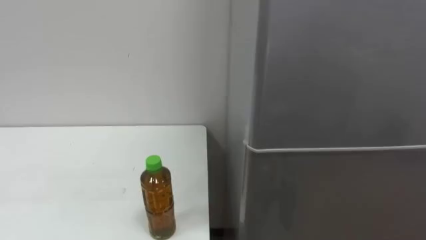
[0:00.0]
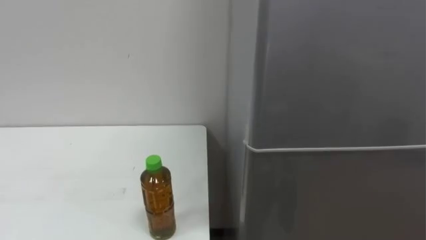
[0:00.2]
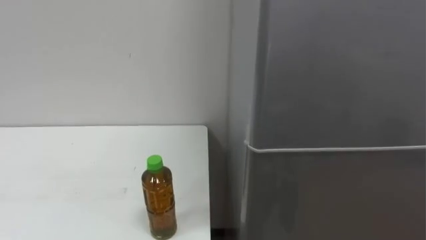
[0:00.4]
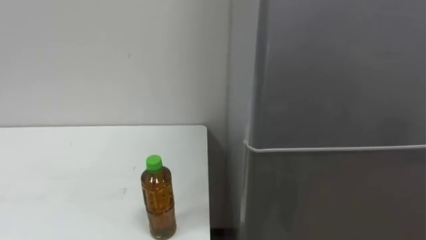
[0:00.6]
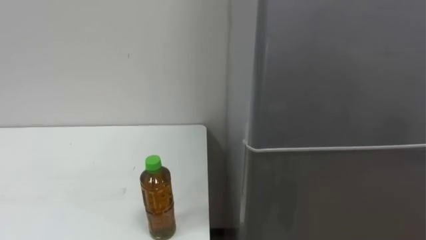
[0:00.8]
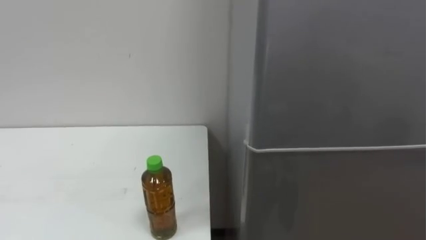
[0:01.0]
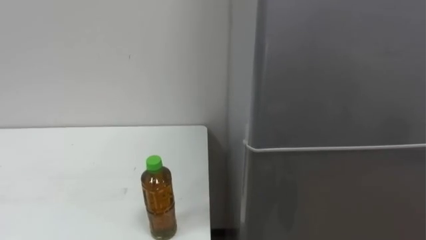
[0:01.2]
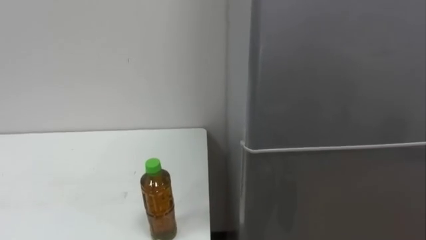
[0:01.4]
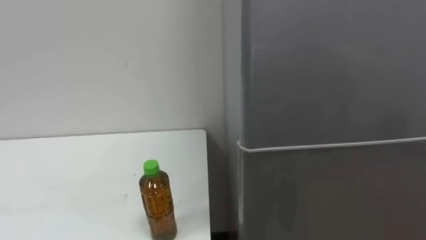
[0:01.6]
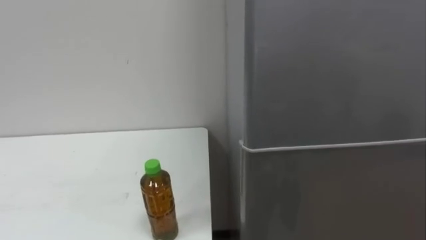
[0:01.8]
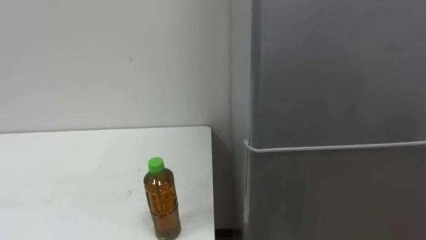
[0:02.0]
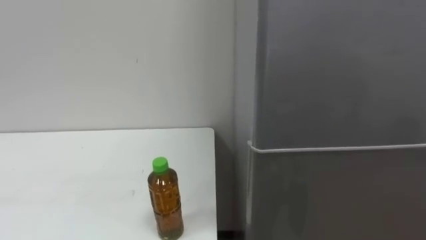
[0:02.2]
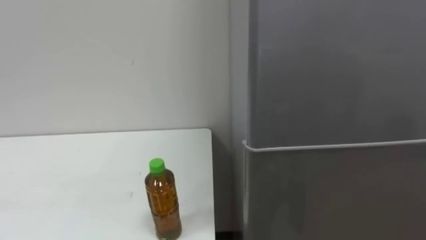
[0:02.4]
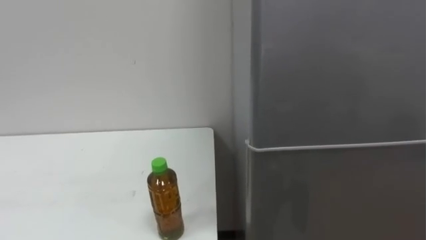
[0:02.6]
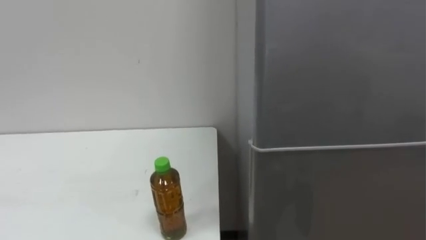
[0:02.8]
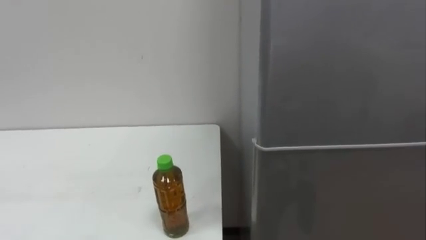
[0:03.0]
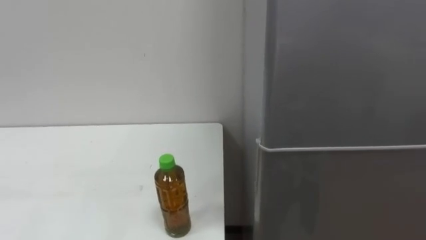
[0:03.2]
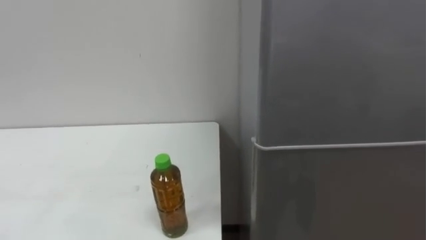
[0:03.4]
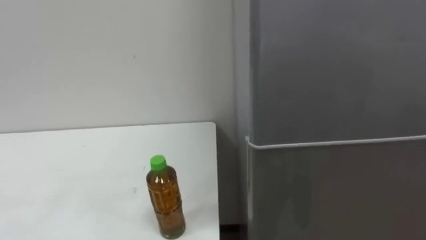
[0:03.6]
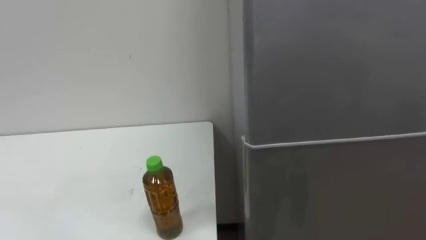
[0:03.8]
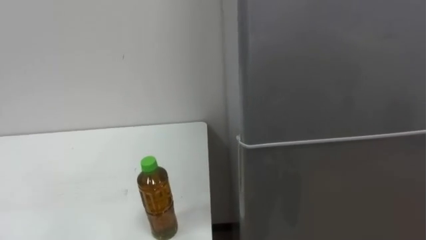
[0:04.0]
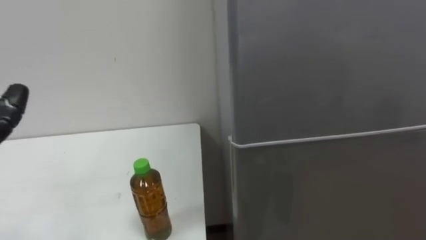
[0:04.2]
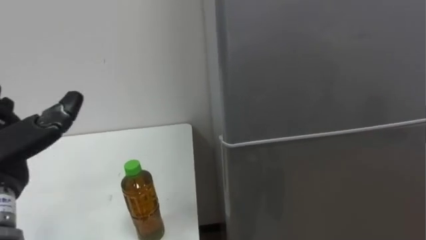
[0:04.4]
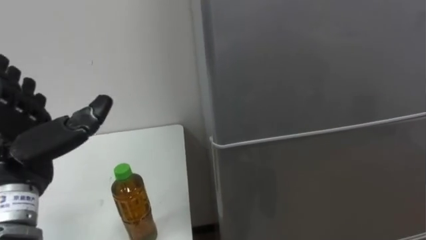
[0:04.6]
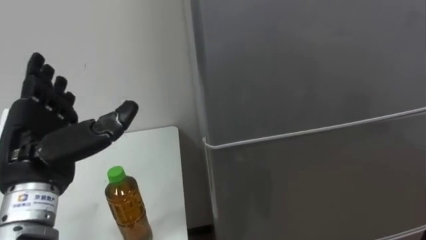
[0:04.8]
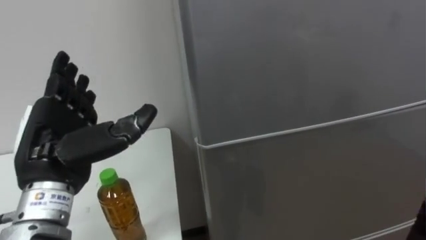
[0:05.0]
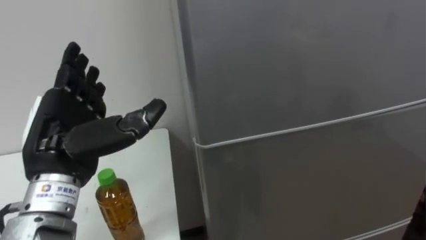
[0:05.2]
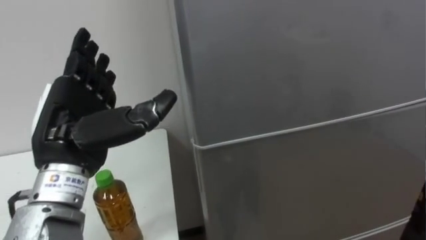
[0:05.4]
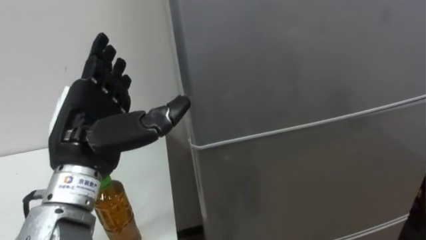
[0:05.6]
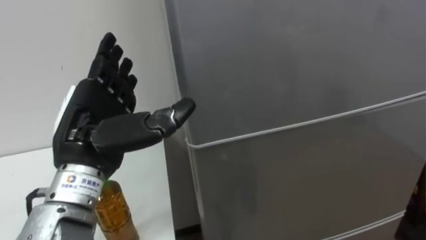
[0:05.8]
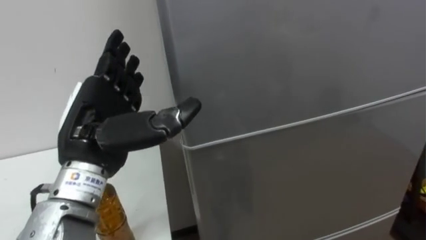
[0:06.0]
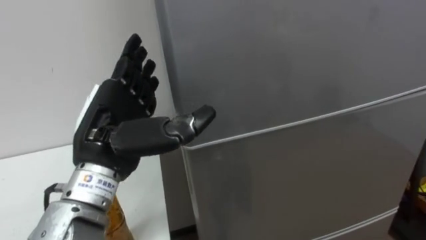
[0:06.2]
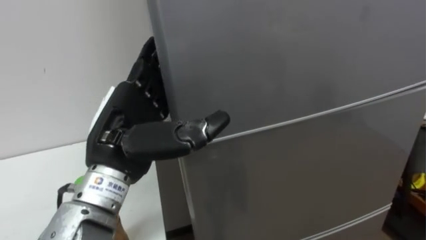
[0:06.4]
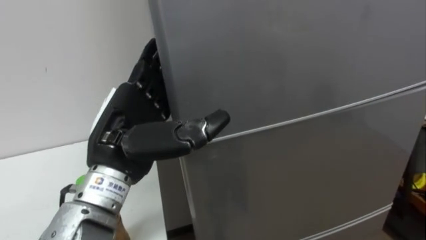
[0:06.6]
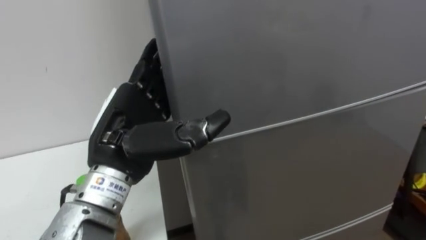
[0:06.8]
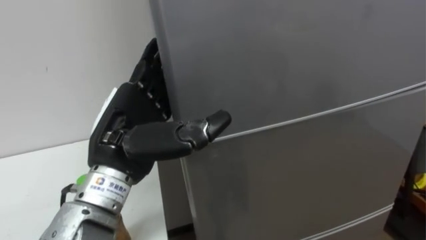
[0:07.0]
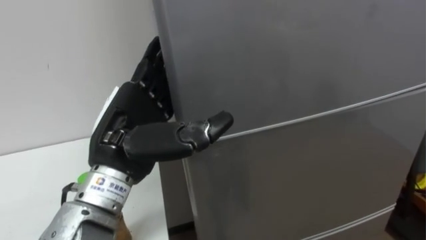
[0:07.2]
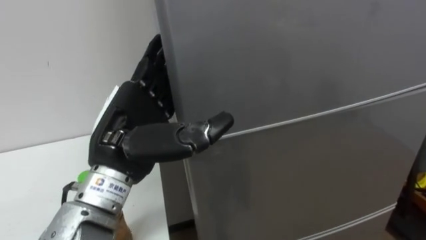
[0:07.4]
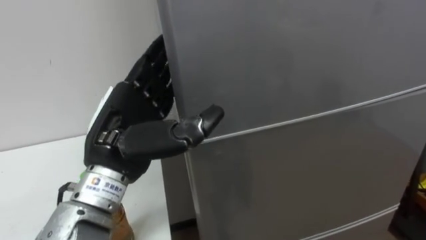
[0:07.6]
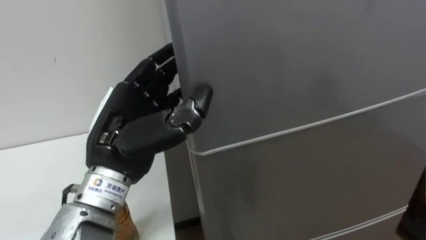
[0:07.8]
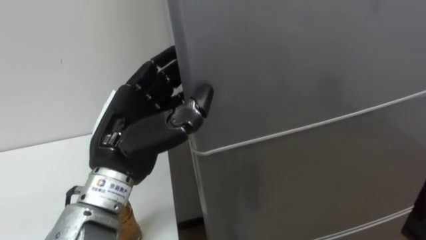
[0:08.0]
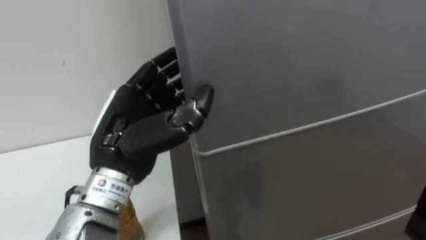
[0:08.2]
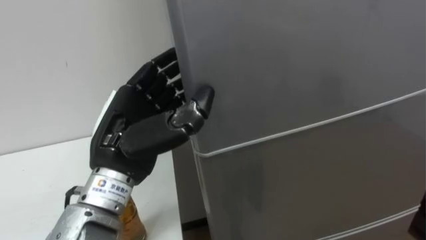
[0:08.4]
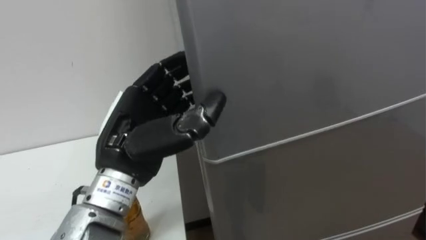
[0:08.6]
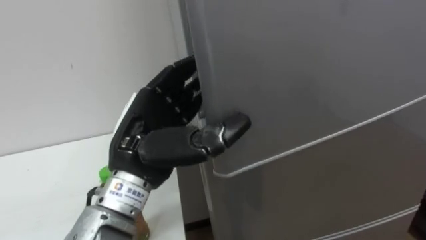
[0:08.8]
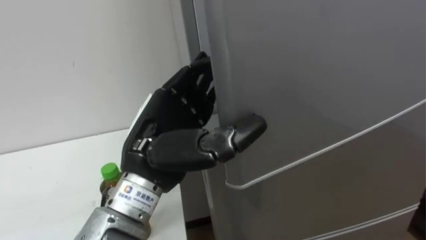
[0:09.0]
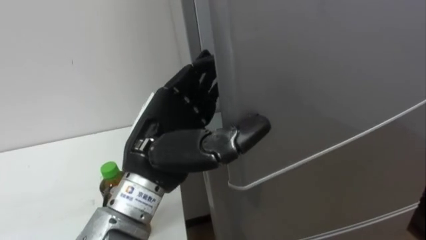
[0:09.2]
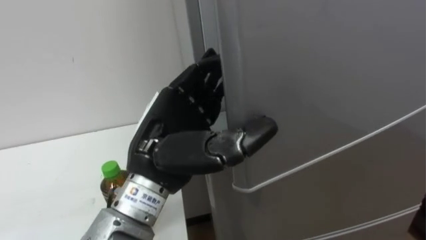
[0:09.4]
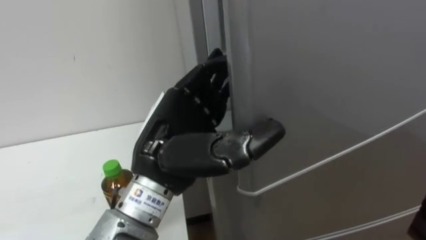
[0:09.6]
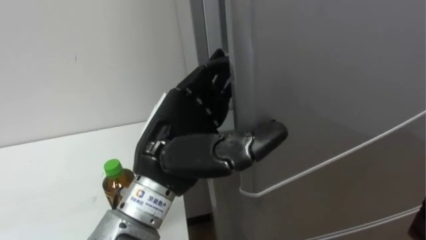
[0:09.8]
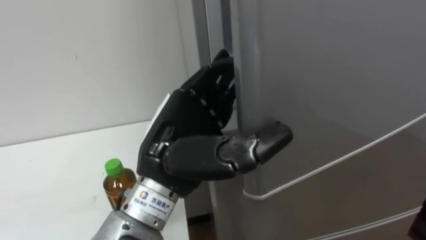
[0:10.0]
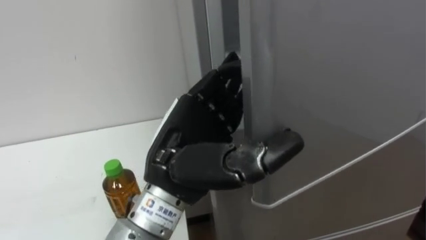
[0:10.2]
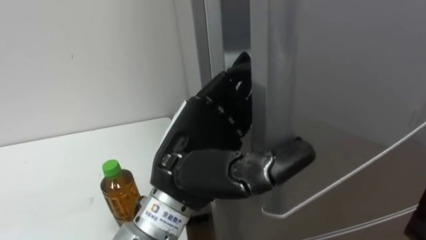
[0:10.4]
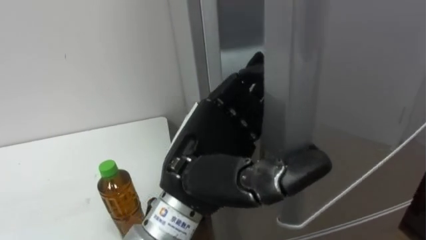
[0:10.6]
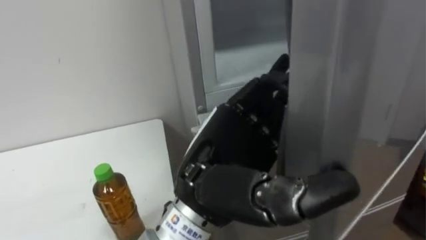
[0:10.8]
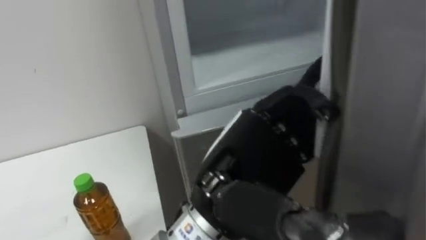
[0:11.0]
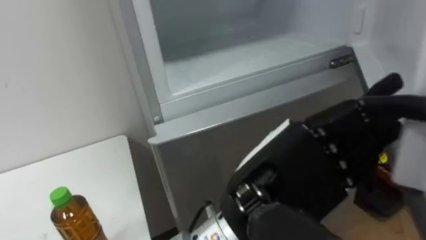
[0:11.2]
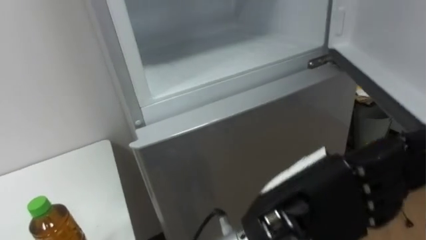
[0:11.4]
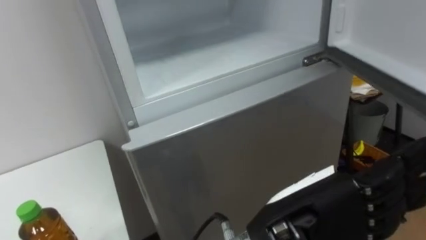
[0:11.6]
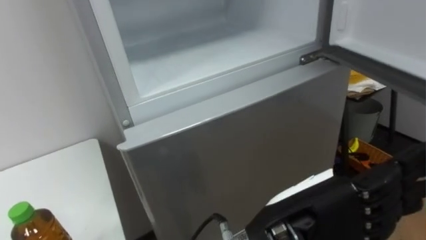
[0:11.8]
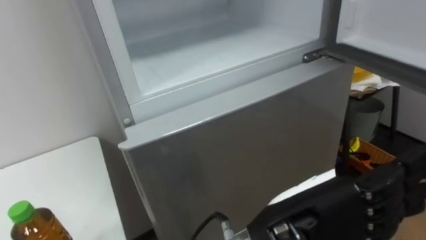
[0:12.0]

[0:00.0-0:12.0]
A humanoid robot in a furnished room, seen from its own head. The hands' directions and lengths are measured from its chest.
Task of the whole recording: Open the upper refrigerator door, put the drink from the table into the refrigerator, and then close the refrigerator door.
0:10.4 to 0:12.0: The left hand is displaced to the right and backward by approximately 15 cm.

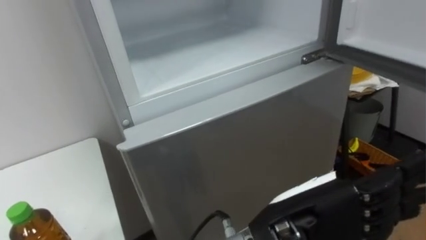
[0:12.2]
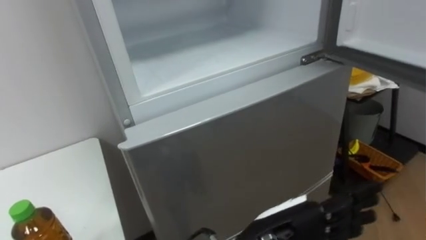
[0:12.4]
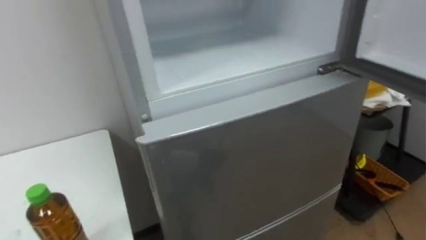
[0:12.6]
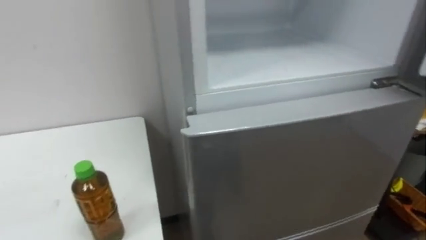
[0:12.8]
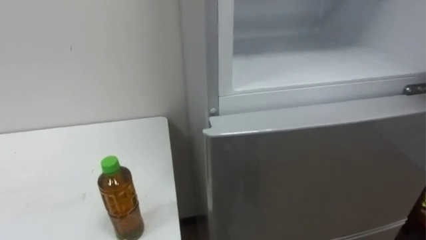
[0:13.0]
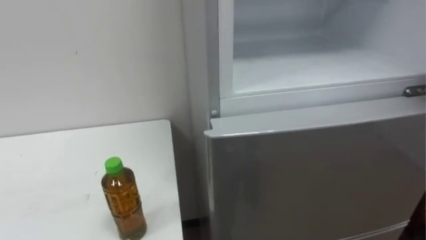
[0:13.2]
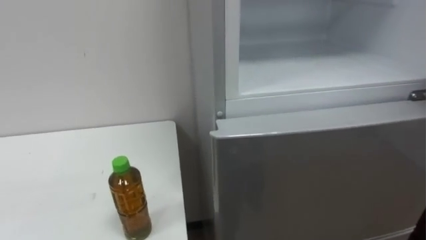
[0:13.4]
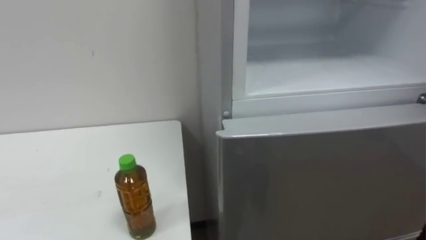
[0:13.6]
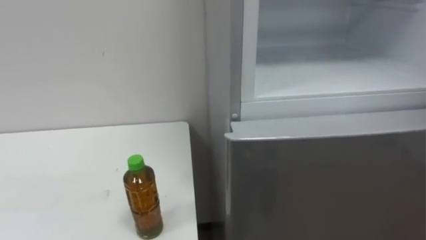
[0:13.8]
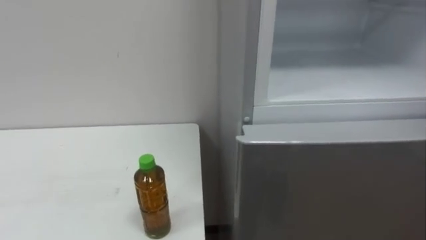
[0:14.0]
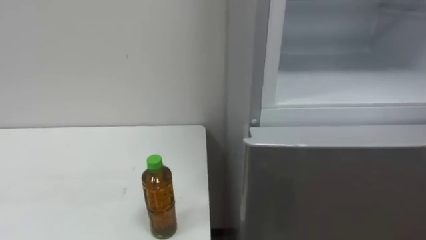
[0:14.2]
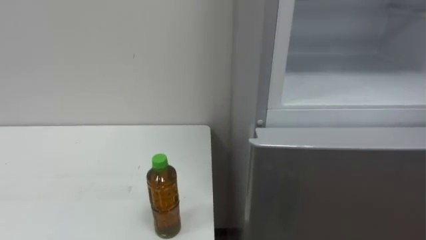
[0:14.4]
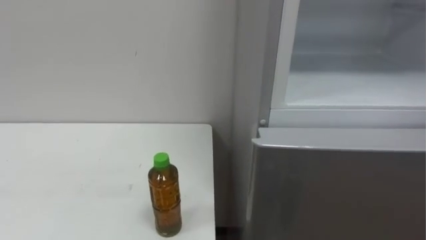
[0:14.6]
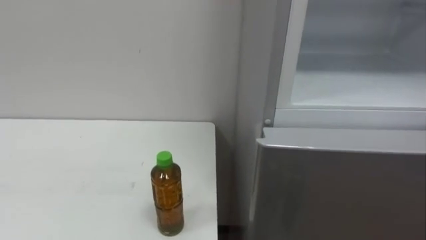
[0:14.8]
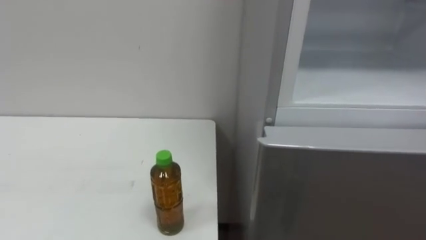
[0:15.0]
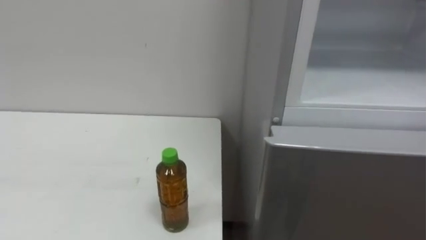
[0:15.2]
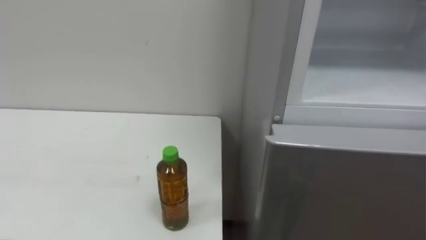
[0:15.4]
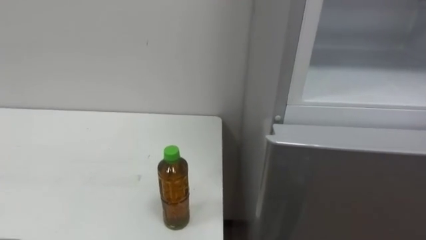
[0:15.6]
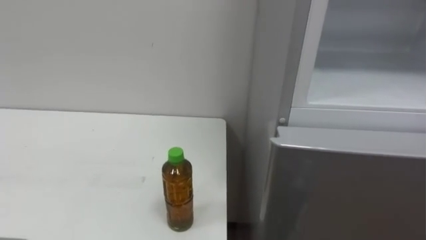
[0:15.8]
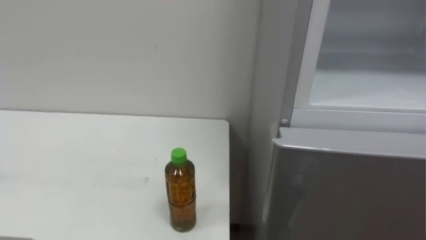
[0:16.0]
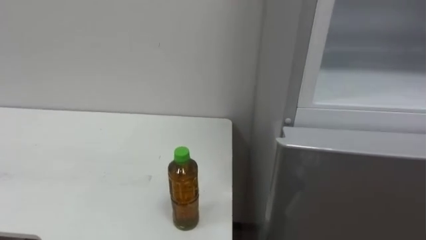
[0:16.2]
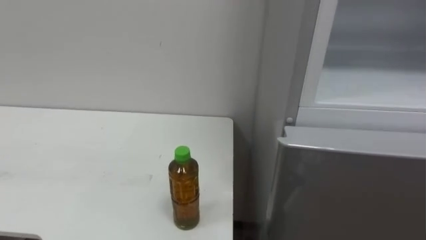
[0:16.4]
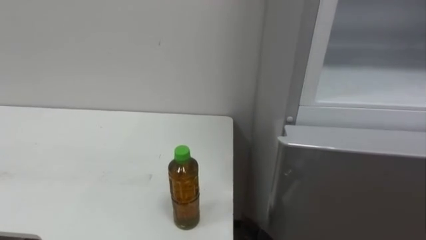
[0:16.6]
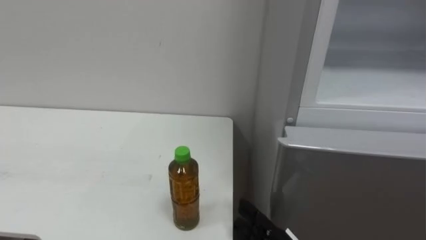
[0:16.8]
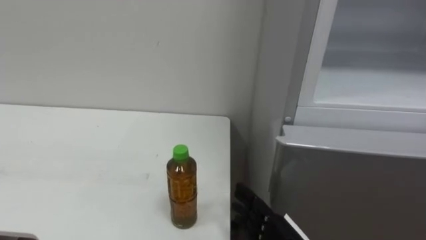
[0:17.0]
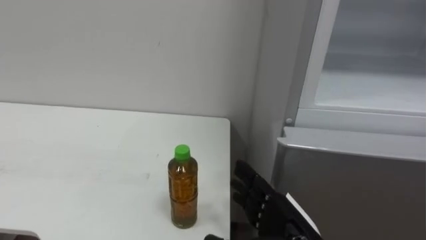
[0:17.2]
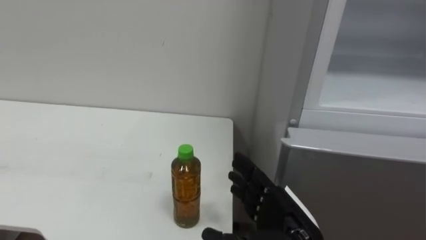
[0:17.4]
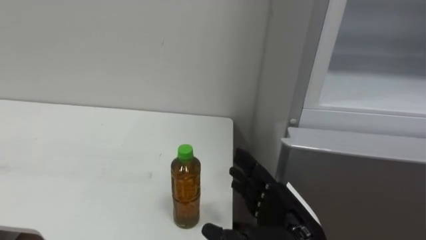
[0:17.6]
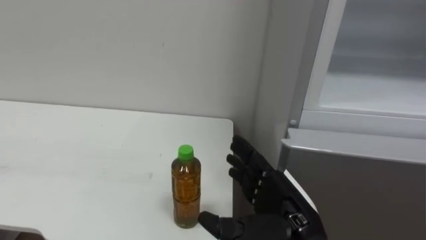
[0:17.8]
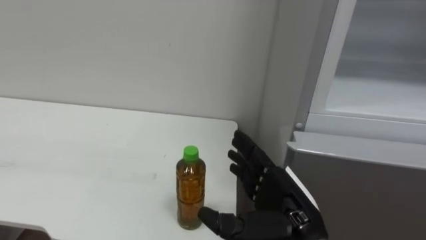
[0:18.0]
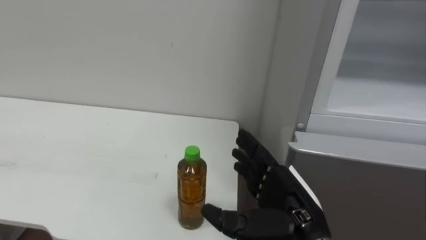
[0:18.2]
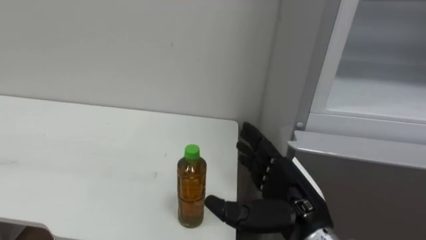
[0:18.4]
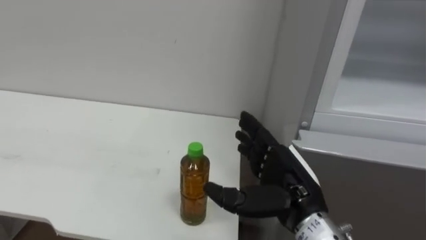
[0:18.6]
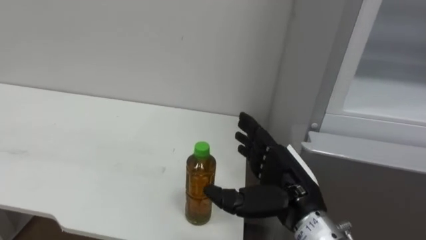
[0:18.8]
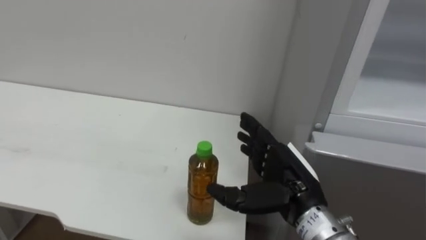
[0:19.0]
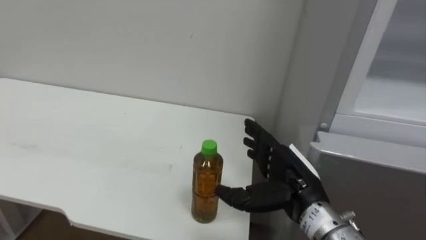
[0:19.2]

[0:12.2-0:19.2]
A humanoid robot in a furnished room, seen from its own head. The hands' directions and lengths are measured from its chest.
Task of the whole recording: Open the upper refrigerator door, put the drink from the table into the refrigerator, and then close the refrigerator door.
0:17.8 to 0:19.2: The right hand moves forward, some 5 cm.
